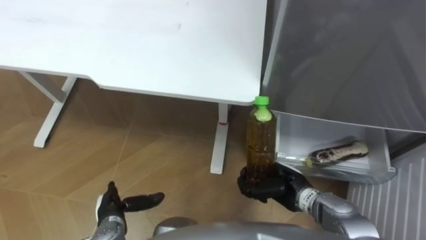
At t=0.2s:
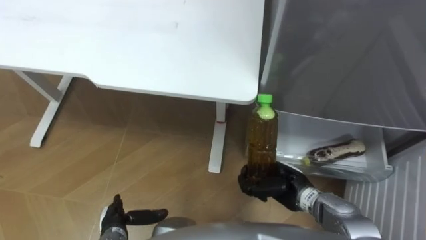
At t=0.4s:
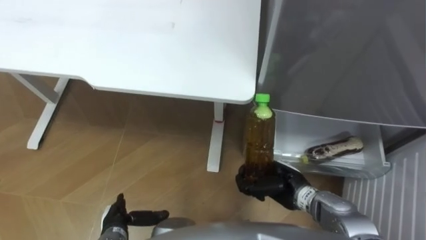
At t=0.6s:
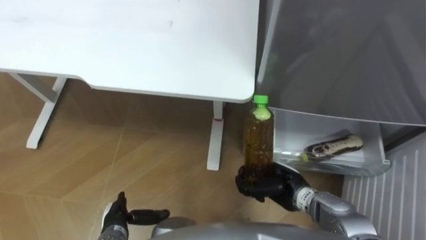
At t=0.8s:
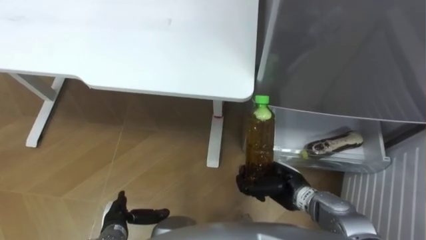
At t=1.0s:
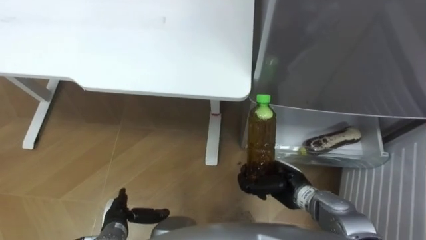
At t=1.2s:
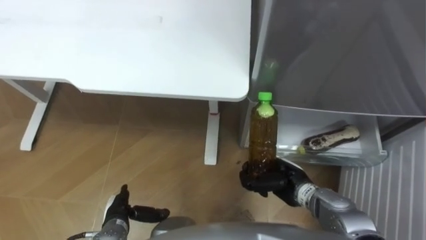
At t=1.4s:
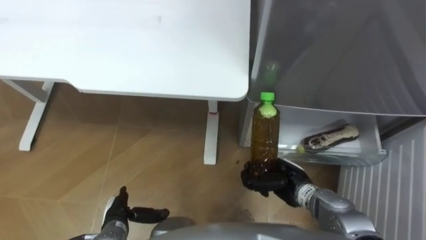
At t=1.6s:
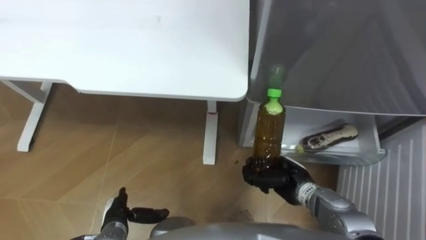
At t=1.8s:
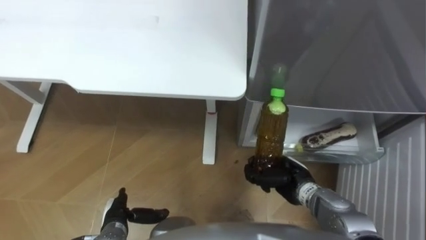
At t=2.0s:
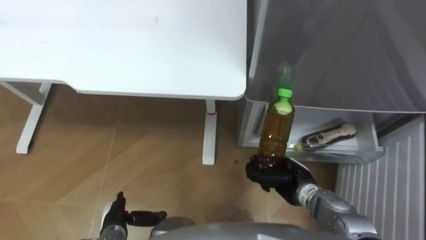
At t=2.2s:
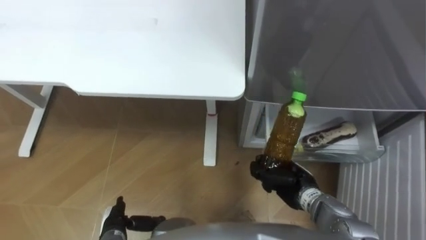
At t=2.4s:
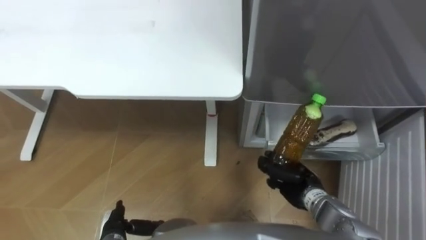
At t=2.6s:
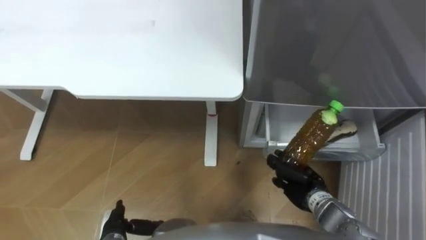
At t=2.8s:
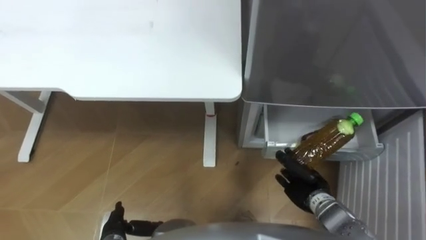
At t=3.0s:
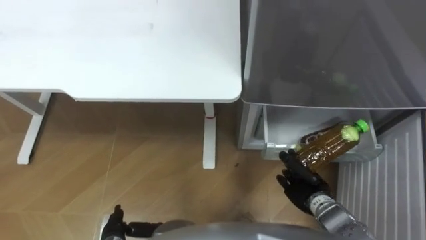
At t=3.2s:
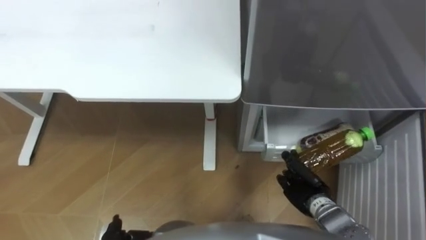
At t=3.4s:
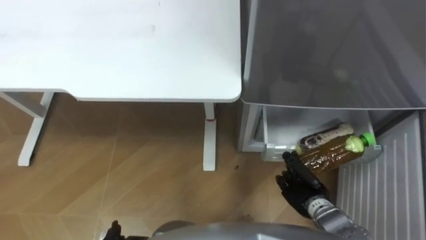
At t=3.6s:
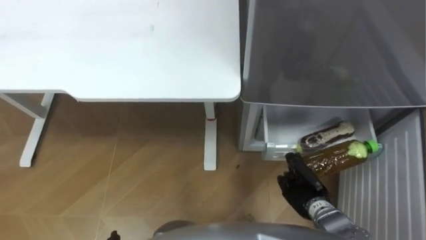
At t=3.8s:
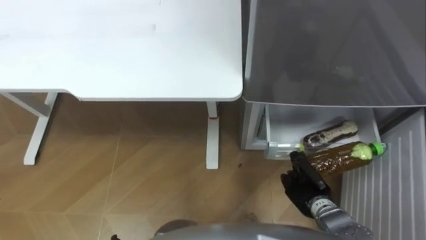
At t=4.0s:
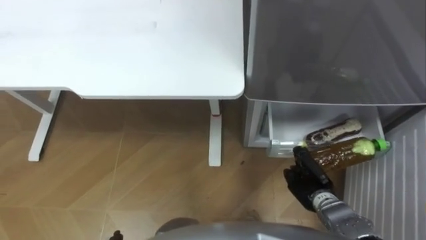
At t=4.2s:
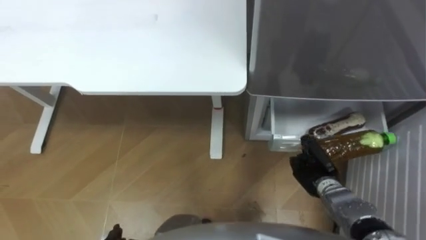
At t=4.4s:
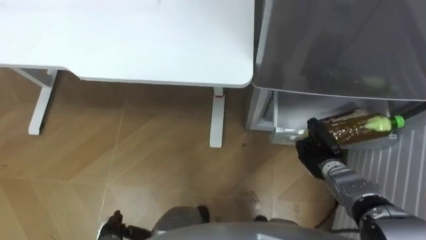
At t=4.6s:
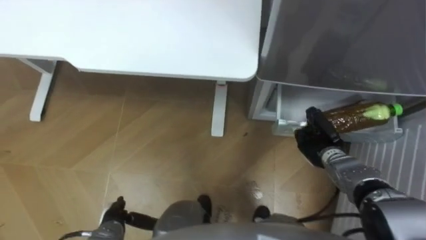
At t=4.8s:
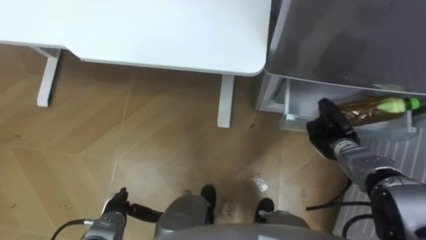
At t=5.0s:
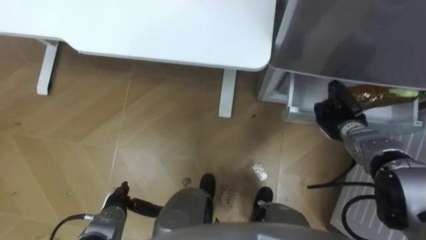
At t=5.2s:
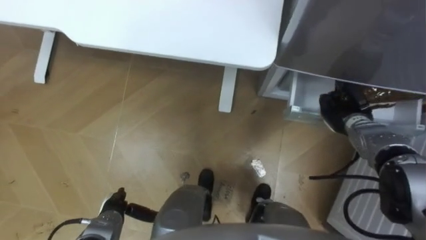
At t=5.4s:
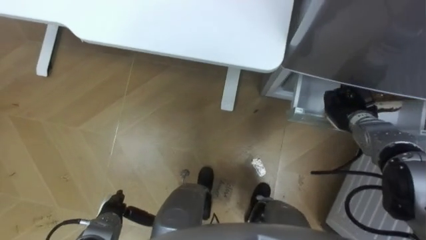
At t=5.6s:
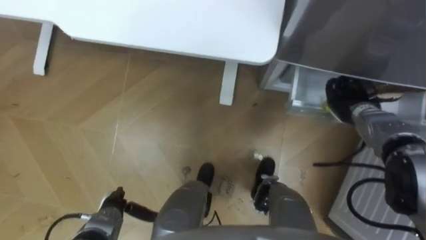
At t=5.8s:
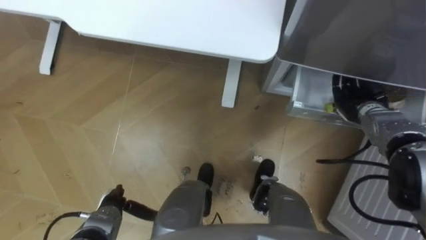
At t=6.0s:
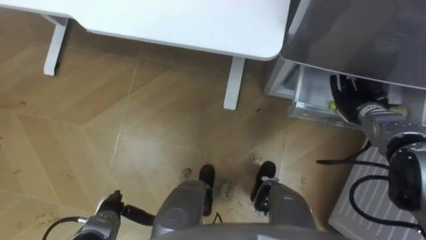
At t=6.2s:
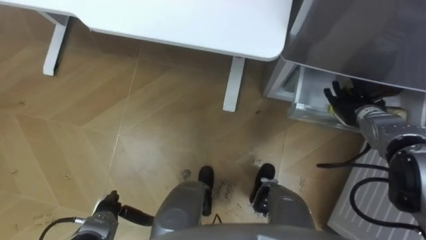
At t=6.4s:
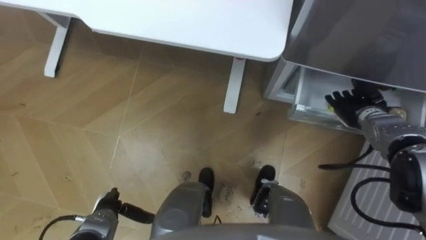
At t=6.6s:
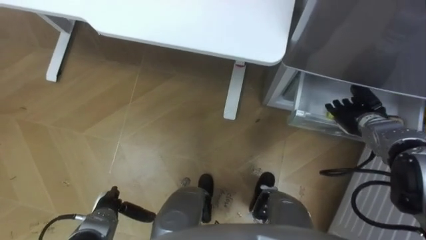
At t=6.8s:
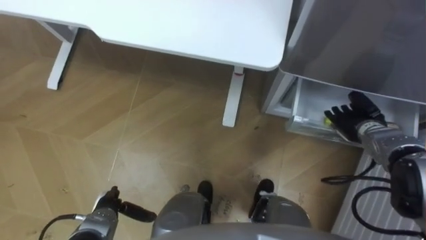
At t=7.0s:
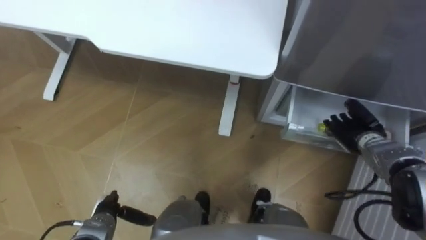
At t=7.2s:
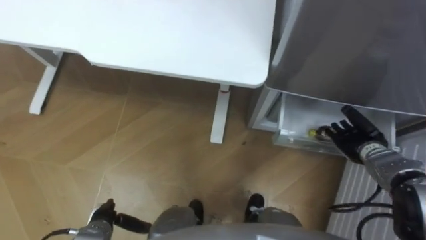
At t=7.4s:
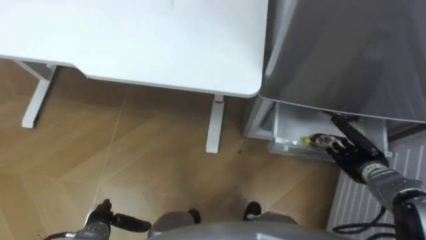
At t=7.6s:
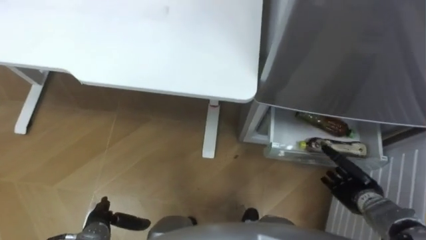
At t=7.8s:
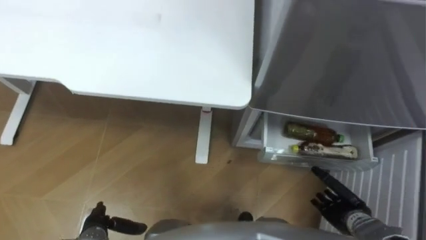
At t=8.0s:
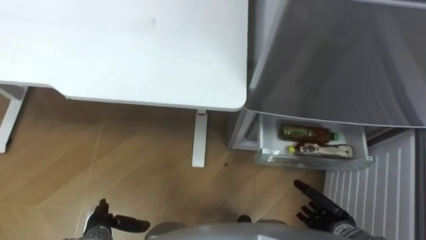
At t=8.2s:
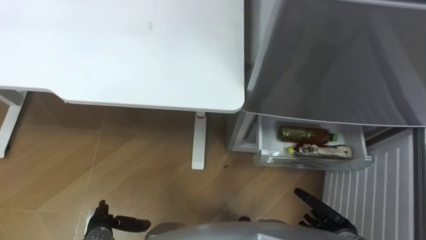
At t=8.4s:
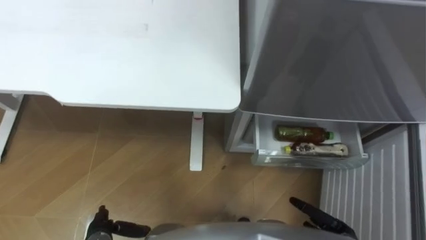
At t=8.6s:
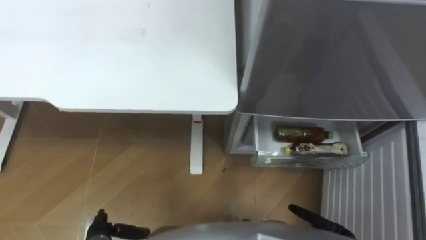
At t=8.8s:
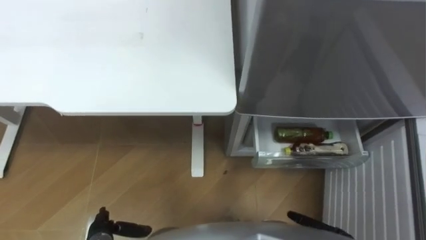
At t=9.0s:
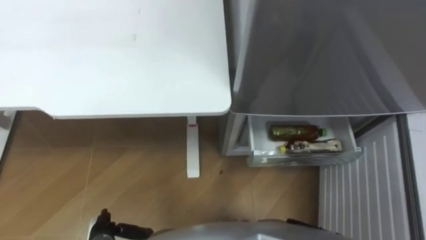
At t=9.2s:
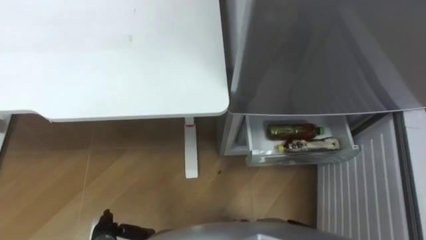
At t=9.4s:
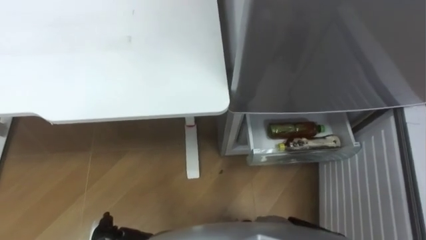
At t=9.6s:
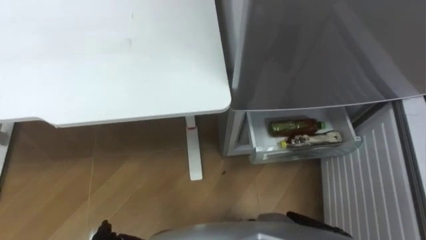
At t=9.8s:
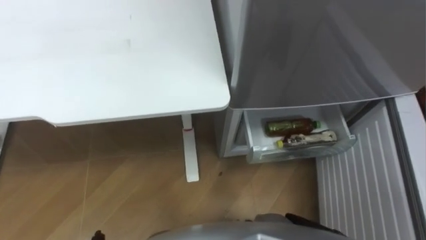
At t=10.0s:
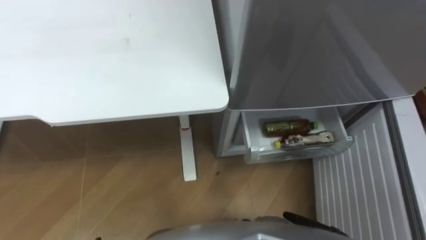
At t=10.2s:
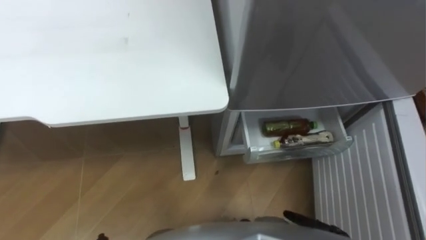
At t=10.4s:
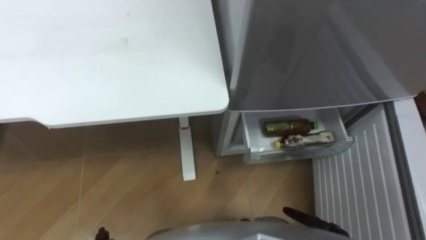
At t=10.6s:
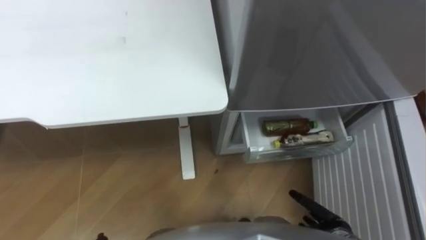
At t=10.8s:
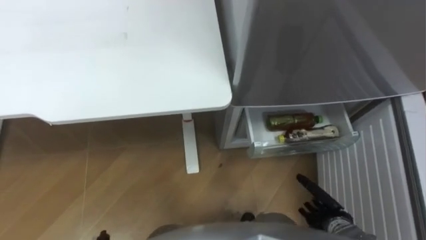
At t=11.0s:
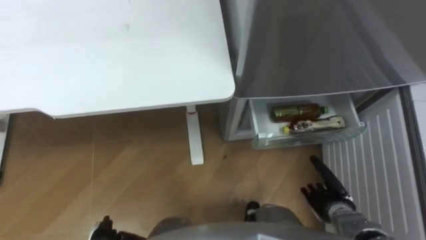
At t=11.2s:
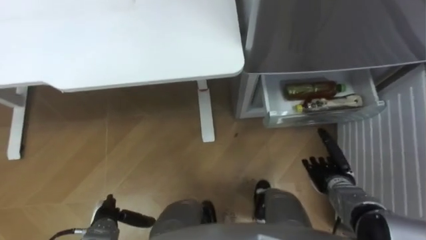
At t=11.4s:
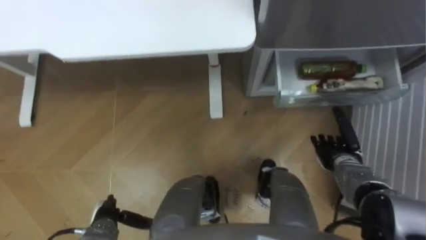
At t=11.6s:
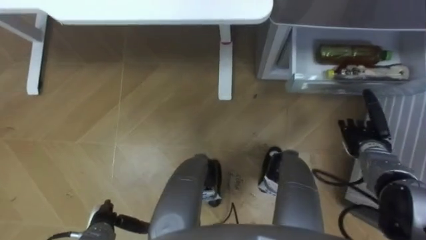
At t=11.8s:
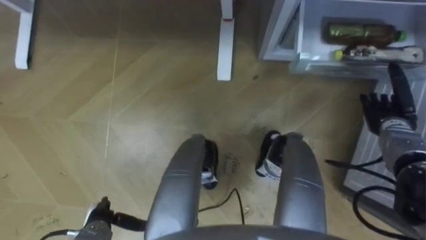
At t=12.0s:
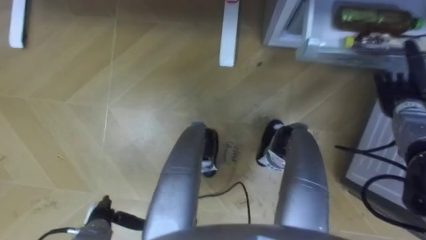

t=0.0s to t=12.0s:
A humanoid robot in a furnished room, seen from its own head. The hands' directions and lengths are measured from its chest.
Task of the whole recording: Place the drink on the table on the bottom shelf of the refrigerator, then close the drawer and the refrigerator door.
t=1.6s to t=3.0s: The right hand shifts by approximately 5 cm.
t=3.0s to t=4.4s: The right hand moves forward, roughly 5 cm.
t=4.4s to t=6.0s: The right hand goes about 15 cm forward, upward and to the right, and opens up.
t=6.0s to t=7.6s: The right hand moves backward and downward, approximately 20 cm.

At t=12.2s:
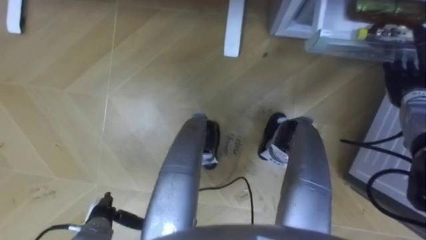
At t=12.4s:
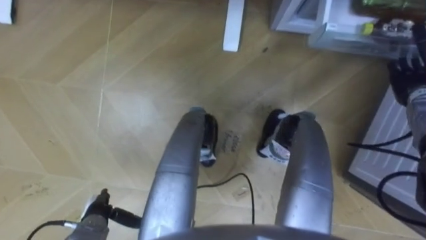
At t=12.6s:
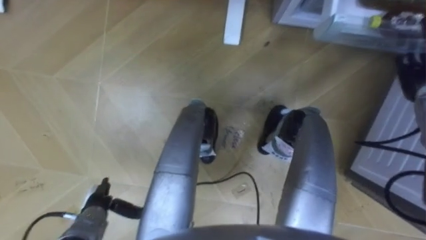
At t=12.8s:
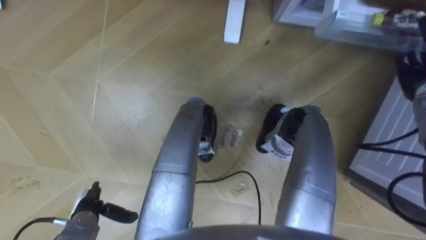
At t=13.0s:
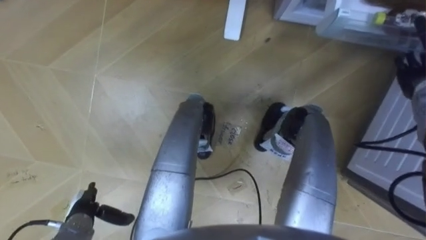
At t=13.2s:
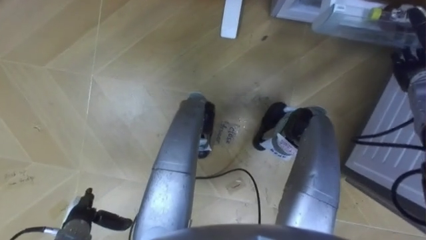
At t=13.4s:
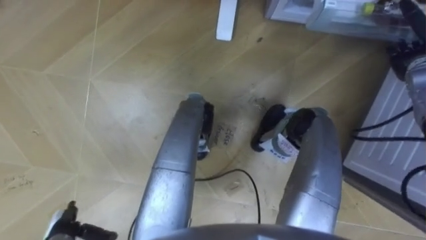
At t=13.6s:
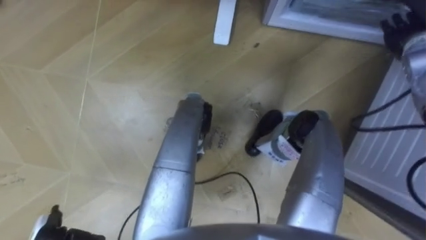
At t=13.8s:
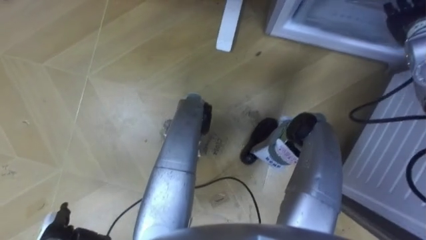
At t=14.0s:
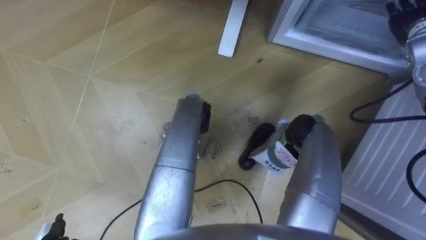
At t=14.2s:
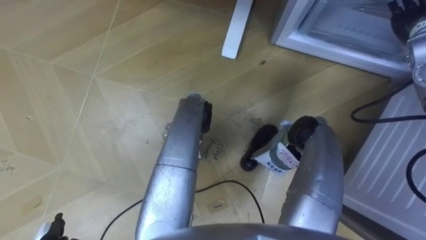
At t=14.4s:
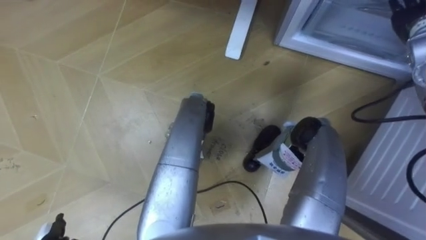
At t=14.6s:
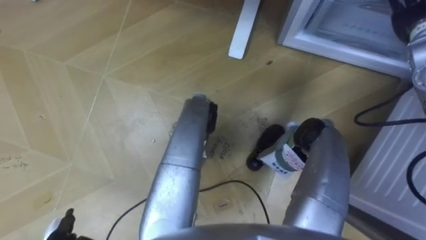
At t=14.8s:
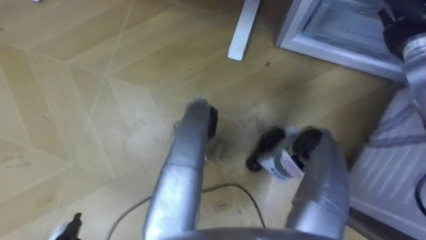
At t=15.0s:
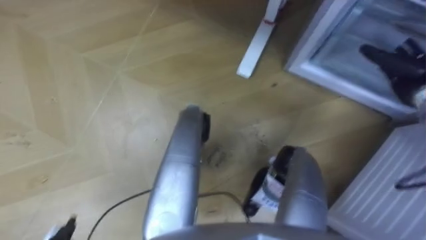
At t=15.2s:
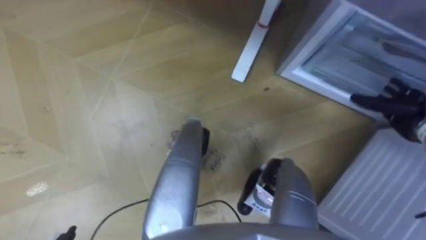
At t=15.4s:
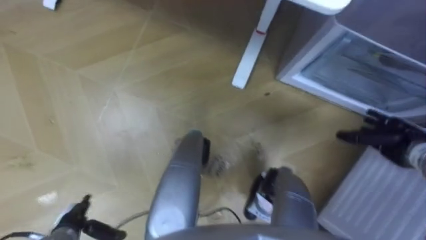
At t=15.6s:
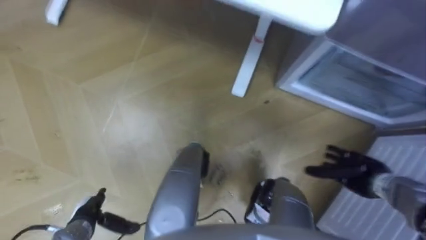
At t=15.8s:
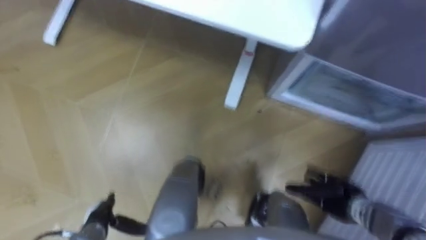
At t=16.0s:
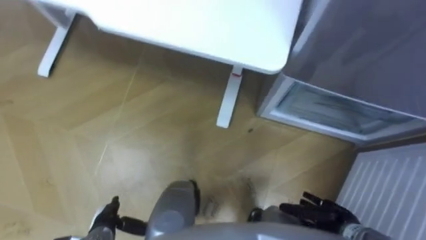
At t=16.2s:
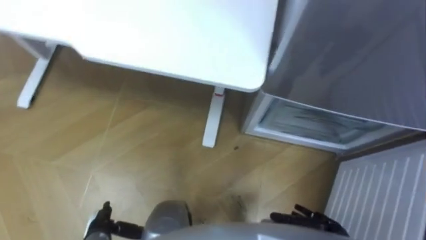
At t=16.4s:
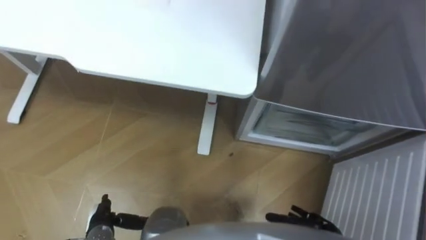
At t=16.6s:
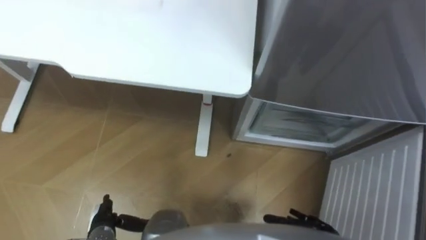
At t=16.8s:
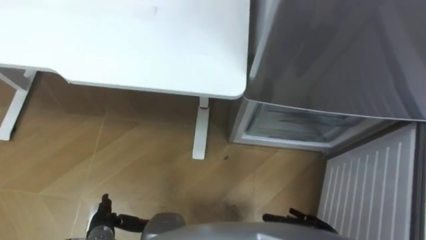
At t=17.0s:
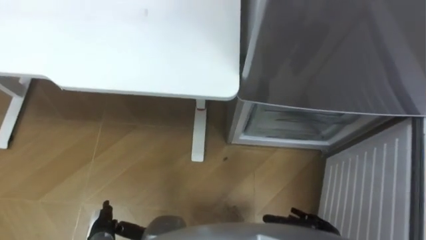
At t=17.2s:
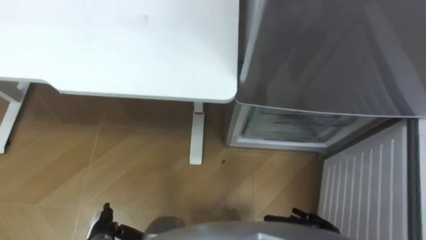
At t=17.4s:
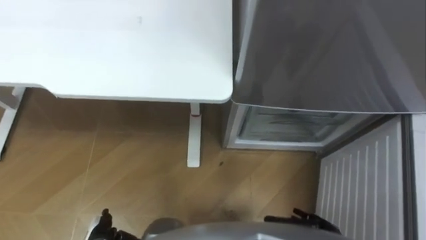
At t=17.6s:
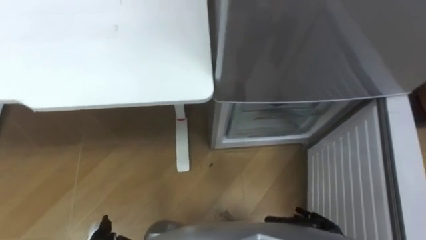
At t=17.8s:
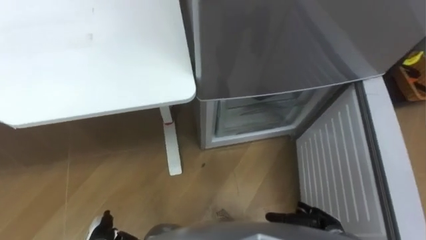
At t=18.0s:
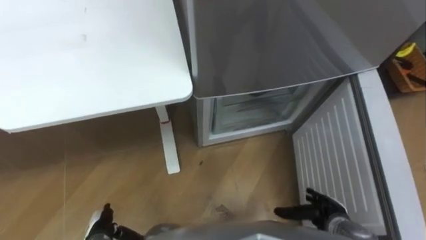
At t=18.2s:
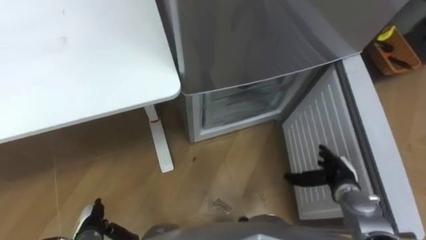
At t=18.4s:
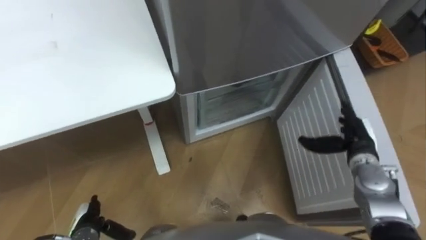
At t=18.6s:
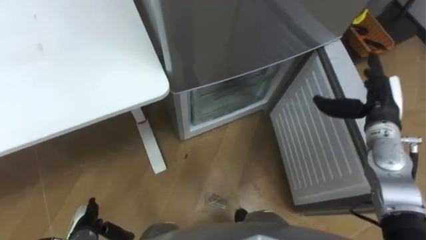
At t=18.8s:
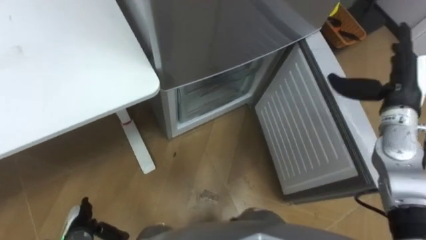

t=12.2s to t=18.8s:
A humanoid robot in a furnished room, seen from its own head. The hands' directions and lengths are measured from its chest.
Task of the whole recording: Place the drink on the table on the bottom shelf of the refrigerator, then close the drawer and the refrigerator door.
t=12.2s to t=13.8s: The right hand is displaced upward and forward by about 15 cm.
t=13.8s to t=15.4s: The right hand is displaced downward and backward by approximately 25 cm.
t=15.4s to t=17.2s: The right hand heads backward, to the left and downward, covering about 30 cm. The left hand goes approximately 5 cm to the right.
t=17.2s to t=18.8s: The robot turns to its right by about 30 degrees. The right hand moves upward and forward, roughly 35 cm.
